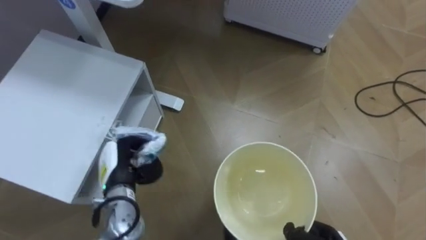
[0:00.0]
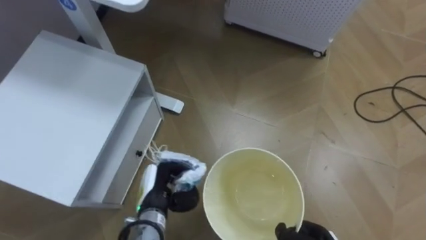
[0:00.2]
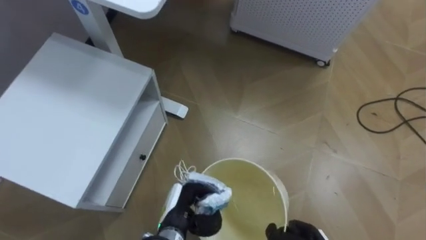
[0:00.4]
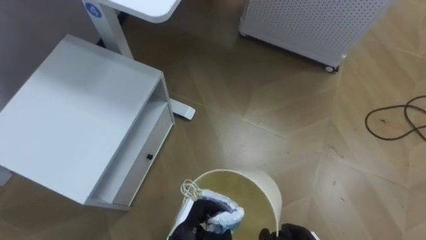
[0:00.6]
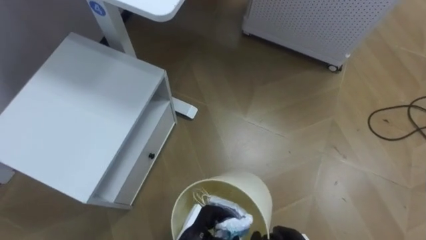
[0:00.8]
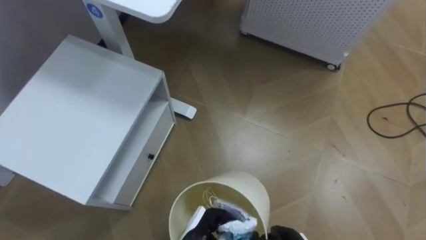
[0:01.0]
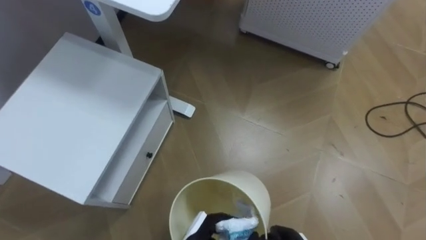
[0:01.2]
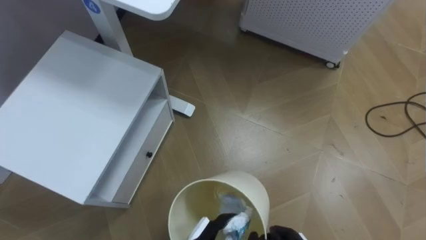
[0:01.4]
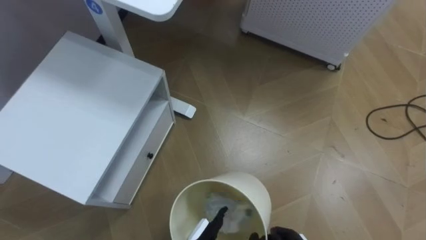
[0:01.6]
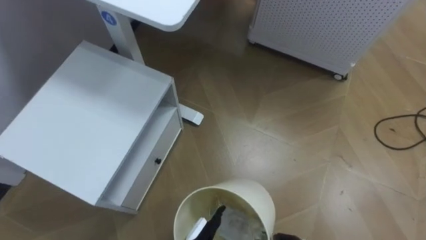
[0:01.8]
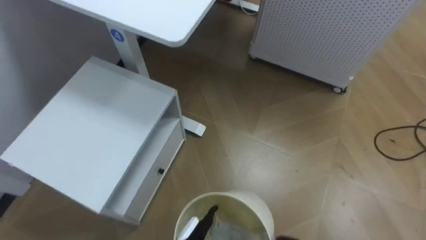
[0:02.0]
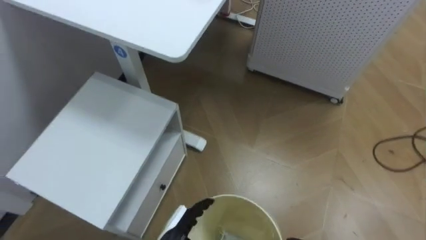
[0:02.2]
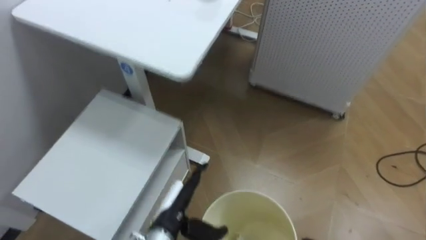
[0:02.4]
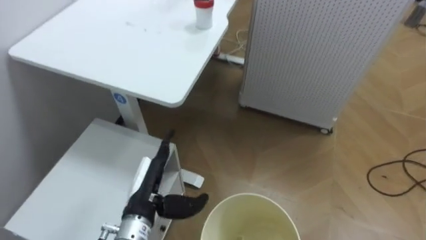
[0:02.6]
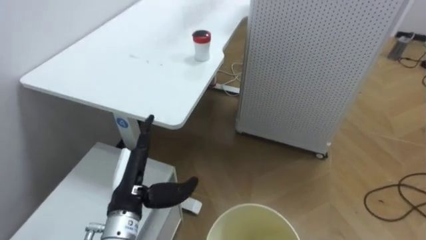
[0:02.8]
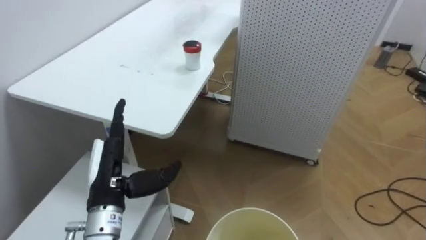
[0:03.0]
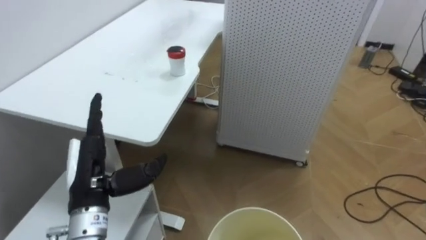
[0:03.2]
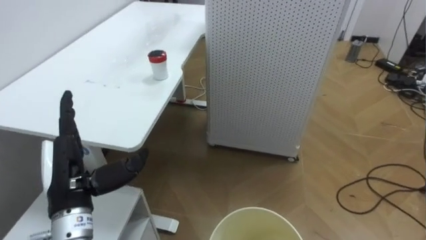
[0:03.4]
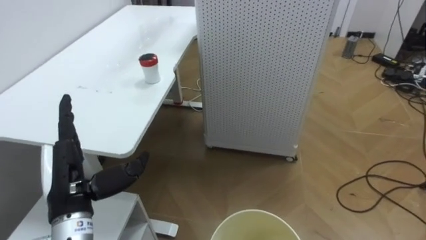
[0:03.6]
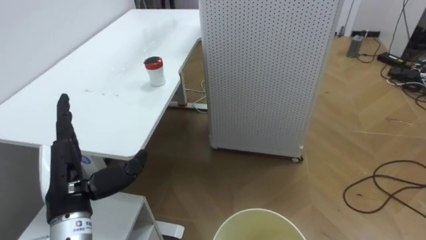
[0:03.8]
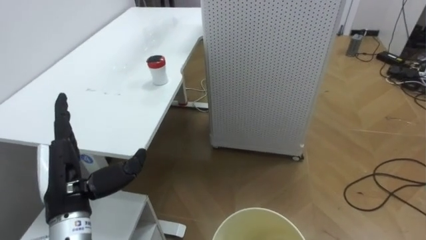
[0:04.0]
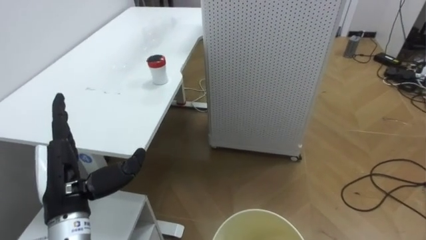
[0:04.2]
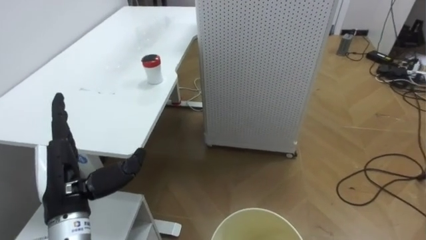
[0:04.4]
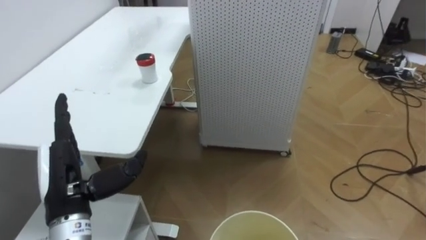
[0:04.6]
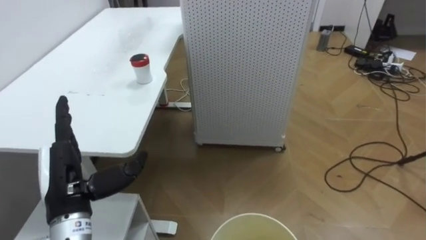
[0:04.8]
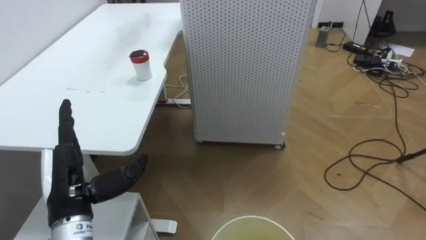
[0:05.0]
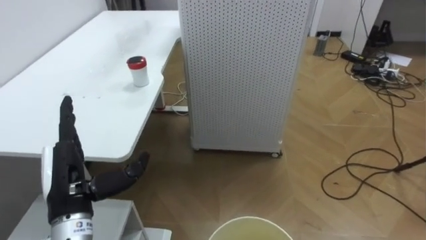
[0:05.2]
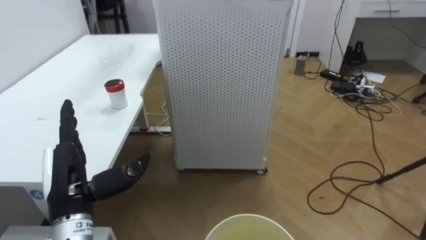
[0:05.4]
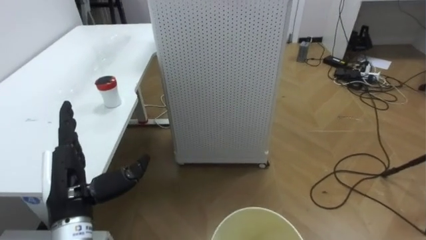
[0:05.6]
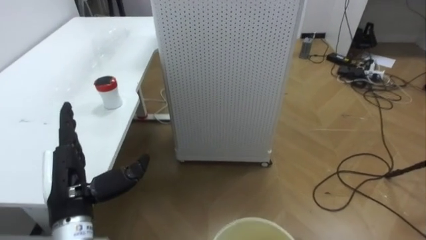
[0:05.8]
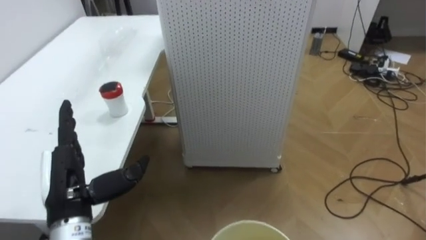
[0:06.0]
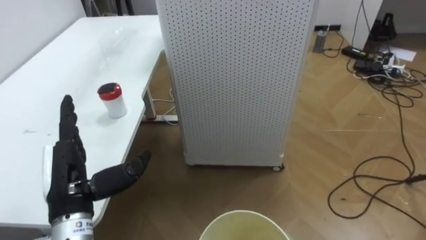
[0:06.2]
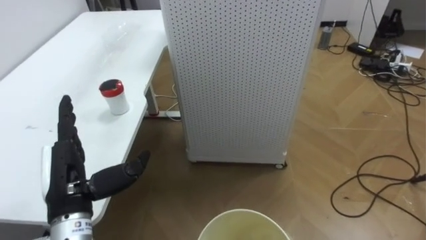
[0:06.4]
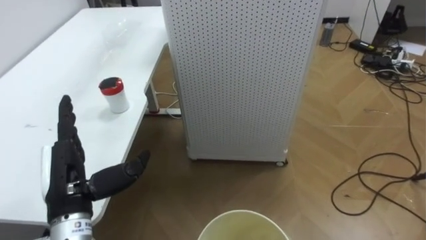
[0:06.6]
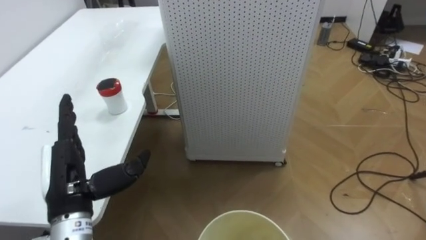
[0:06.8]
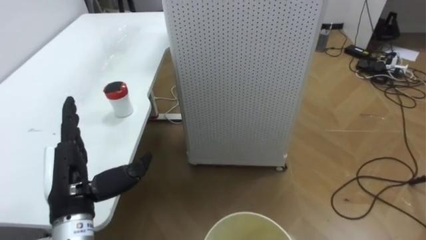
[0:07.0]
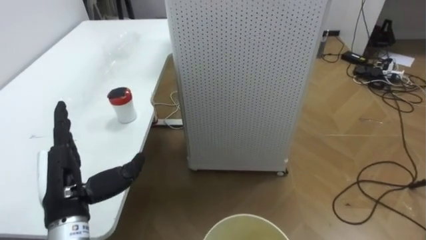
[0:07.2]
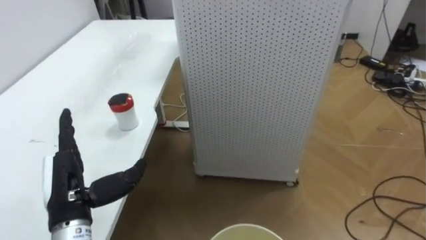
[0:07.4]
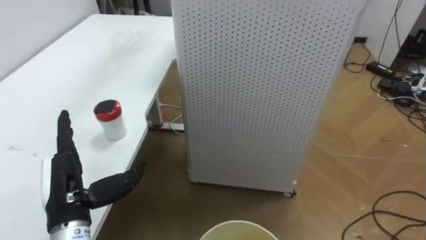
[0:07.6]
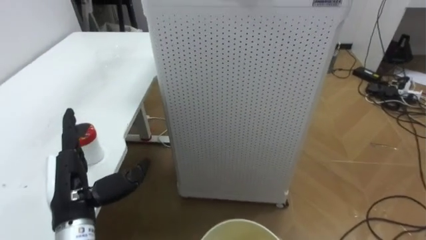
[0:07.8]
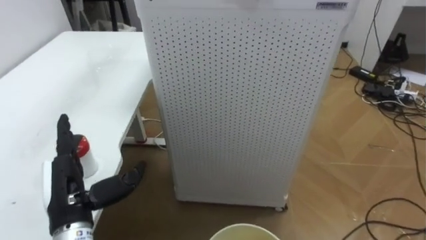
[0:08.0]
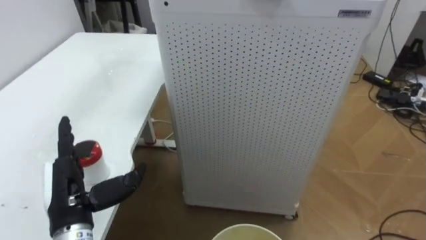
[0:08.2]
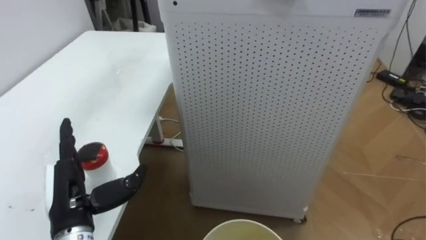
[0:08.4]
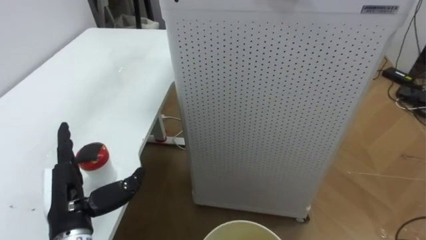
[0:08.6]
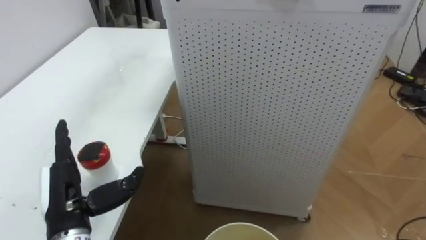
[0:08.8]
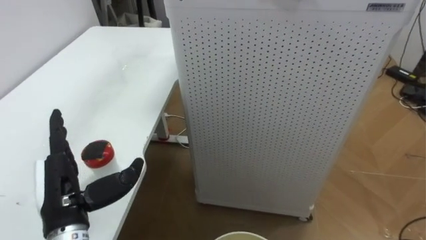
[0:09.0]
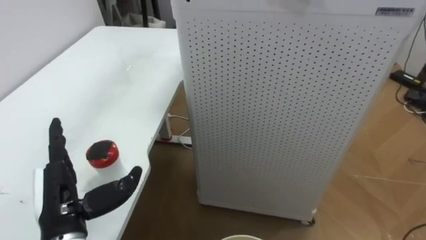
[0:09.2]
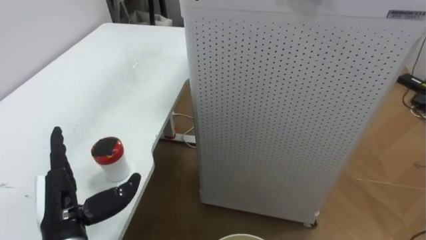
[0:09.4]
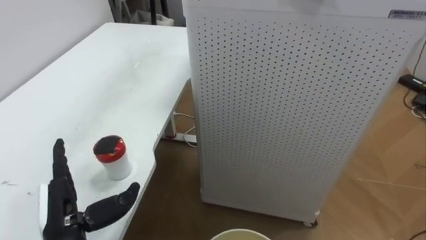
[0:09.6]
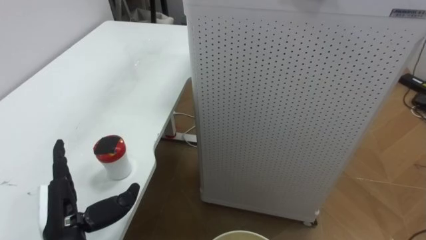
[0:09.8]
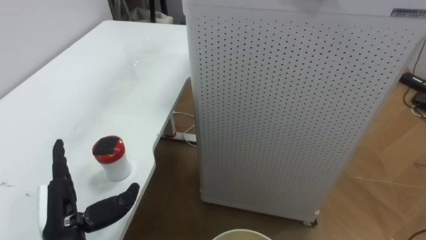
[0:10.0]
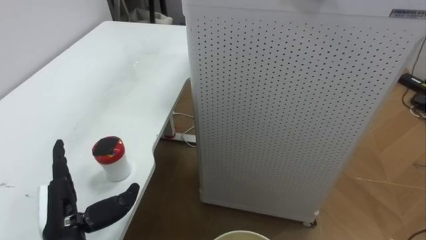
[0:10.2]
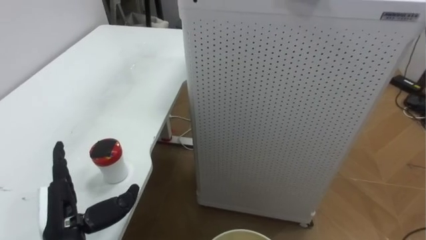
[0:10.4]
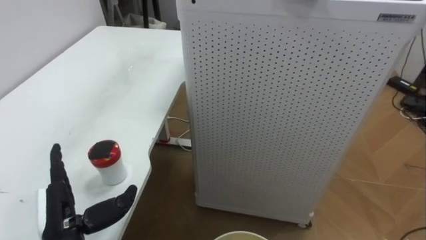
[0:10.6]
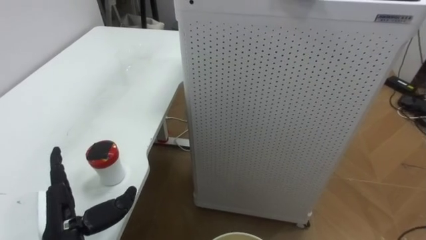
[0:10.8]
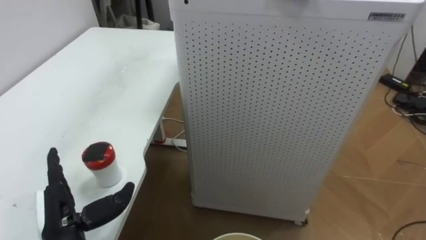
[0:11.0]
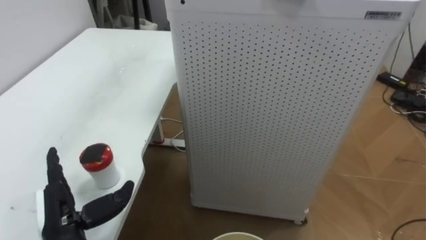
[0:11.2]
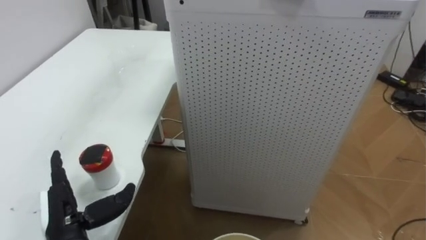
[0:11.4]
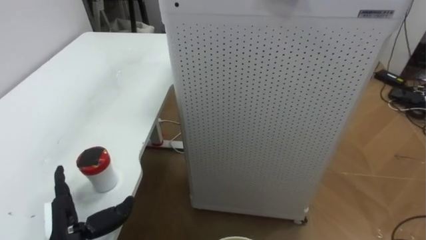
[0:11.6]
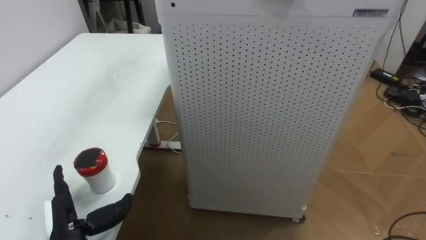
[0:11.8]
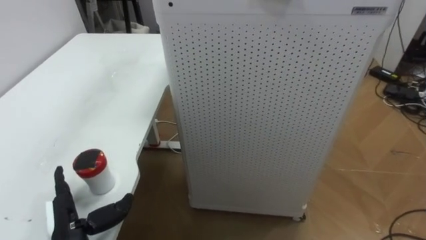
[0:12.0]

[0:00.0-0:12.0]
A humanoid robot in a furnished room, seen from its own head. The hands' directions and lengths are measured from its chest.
Task of the whole recording: Pick up the light blue package, the candy box, and the dark blue package separately, and put them into the trash can held in your right hand.
0:03.0 to 0:04.4: The left hand is displaced to the left by about 5 cm.
0:09.0 to 0:10.4: The left hand ends up roughly 5 cm from where it was.
0:10.4 to 0:12.0: The left hand is displaced downward by approximately 5 cm.

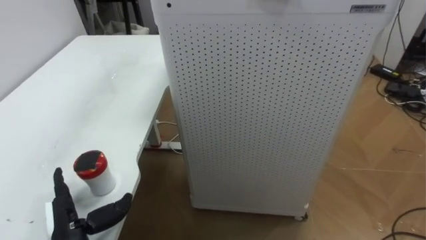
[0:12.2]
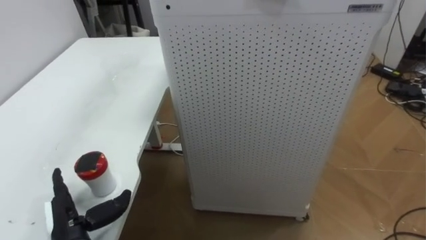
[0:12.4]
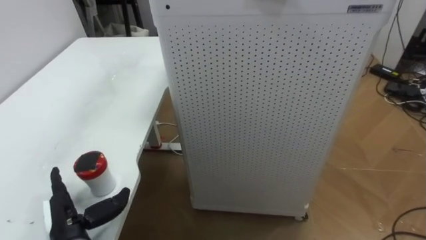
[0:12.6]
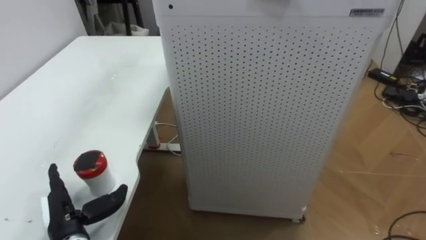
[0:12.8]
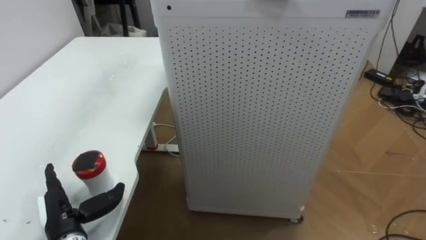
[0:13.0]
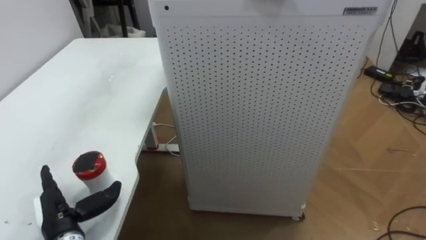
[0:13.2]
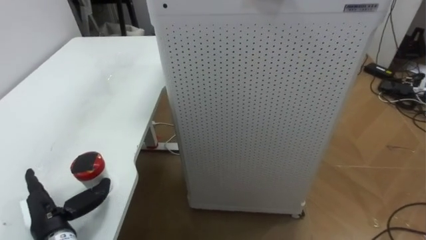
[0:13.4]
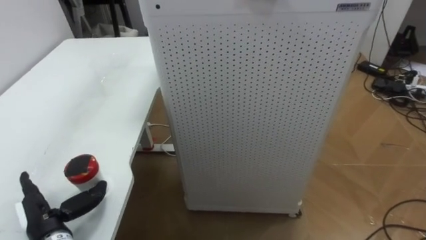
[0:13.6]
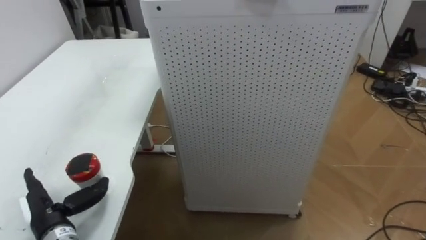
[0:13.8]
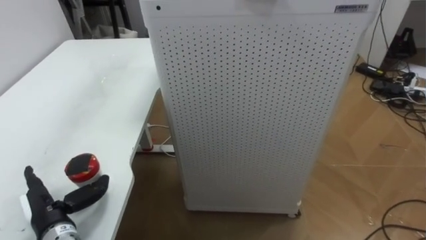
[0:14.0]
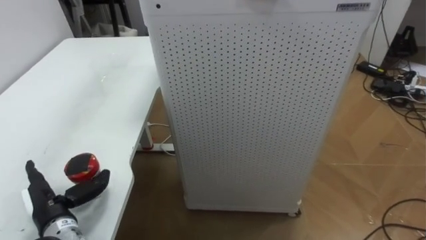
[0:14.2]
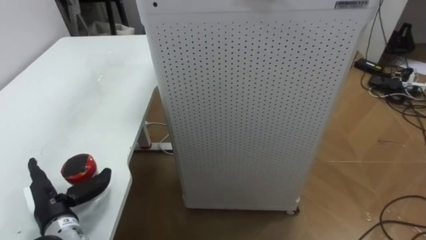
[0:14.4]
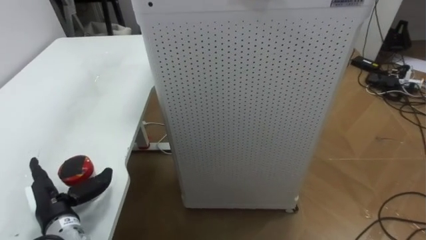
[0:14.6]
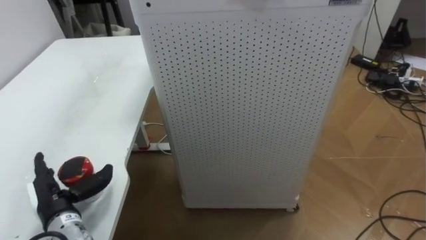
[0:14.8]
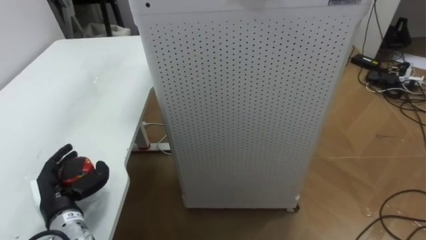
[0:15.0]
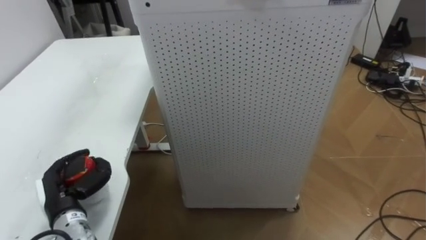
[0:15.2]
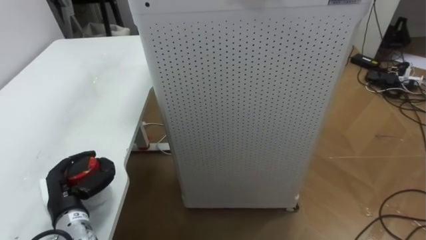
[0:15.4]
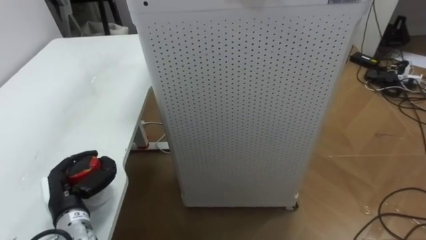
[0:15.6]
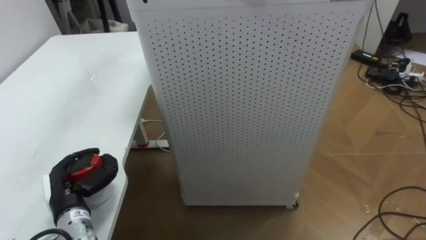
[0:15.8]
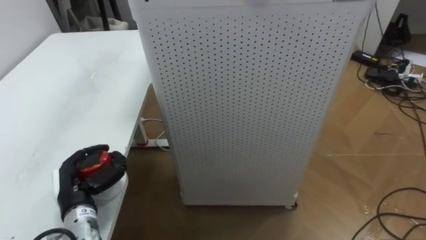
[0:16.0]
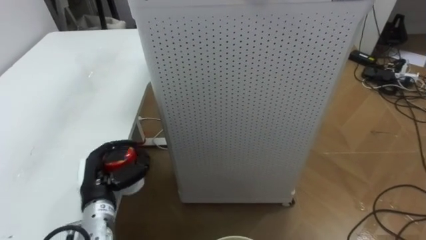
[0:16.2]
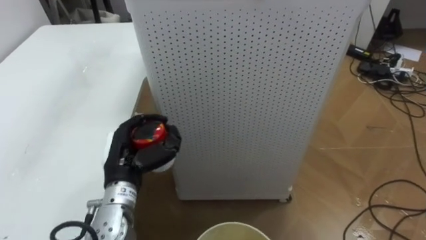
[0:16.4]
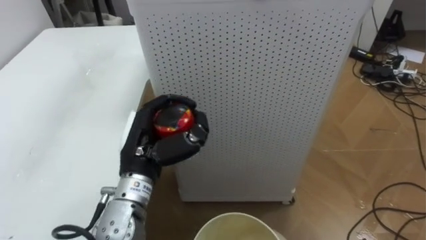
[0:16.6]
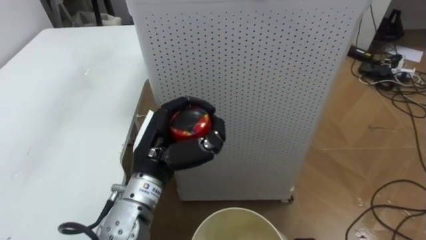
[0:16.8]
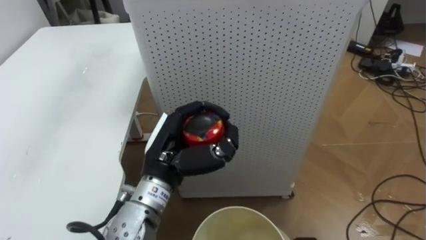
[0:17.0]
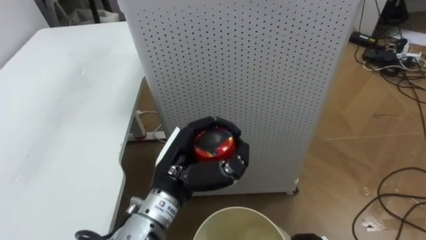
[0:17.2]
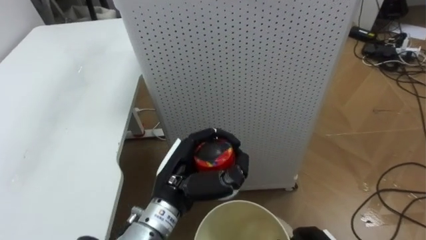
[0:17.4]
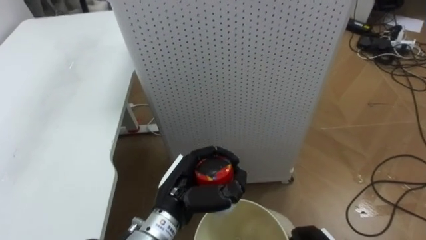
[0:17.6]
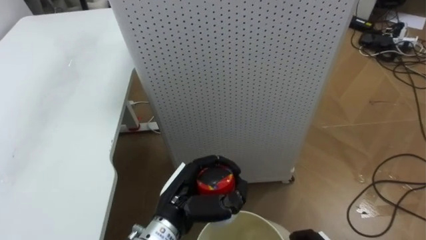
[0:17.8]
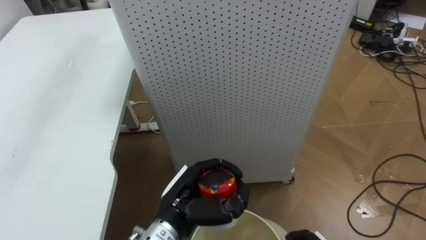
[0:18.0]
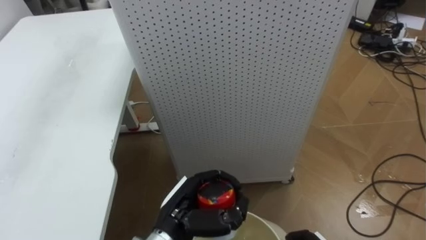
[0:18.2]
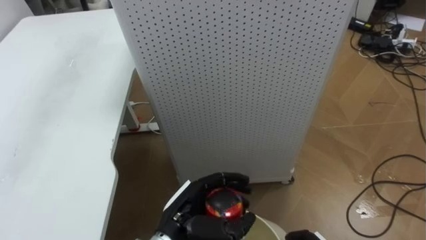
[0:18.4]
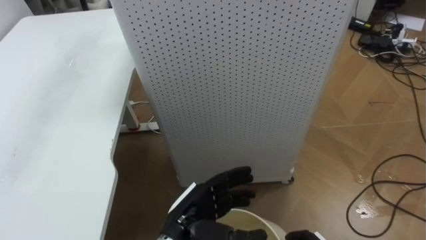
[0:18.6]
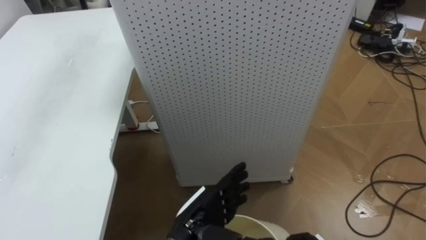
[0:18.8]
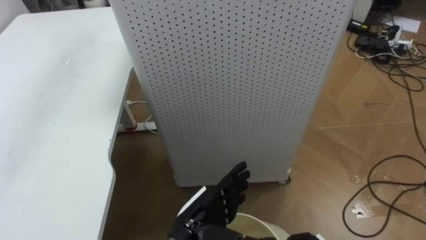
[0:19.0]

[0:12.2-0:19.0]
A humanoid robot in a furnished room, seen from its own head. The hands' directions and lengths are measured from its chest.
Task of the whole recording: Pick up the light blue package, the candy box, and the dark blue package separately, and put them into the trash can held in your right hand.
0:15.0 to 0:16.2: The left hand moves to the right, roughly 5 cm, and closes its fingers.
0:16.2 to 0:17.6: The left hand goes about 15 cm to the right.
0:17.6 to 0:19.0: The left hand ends up about 5 cm from where it was, and opens up.
